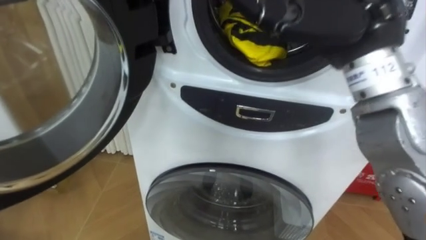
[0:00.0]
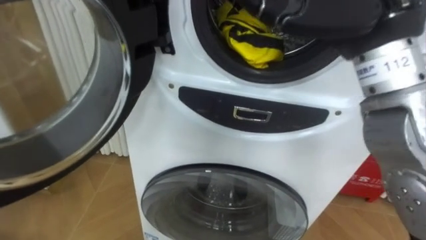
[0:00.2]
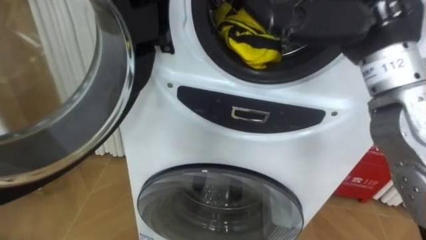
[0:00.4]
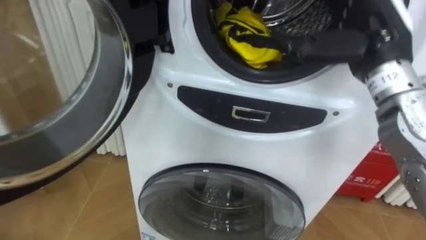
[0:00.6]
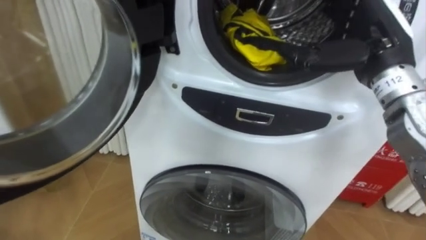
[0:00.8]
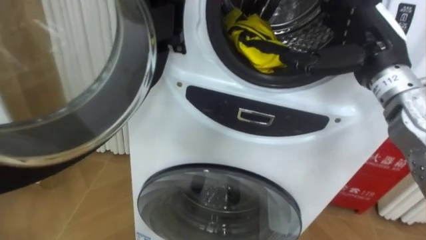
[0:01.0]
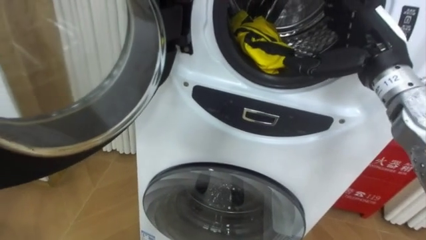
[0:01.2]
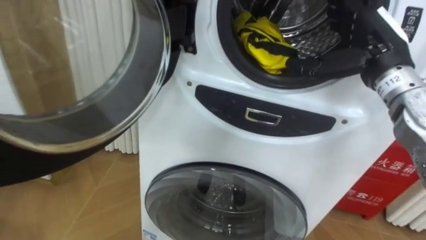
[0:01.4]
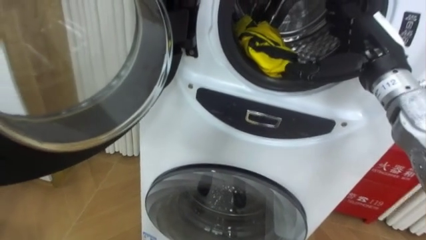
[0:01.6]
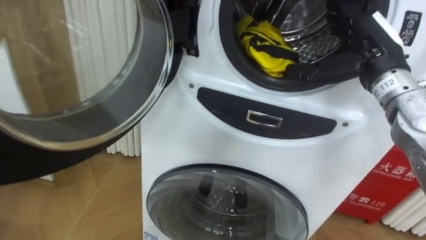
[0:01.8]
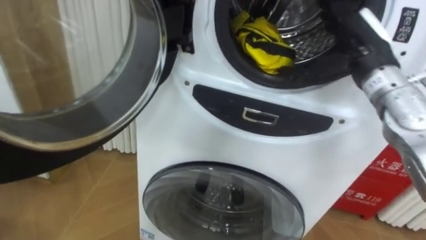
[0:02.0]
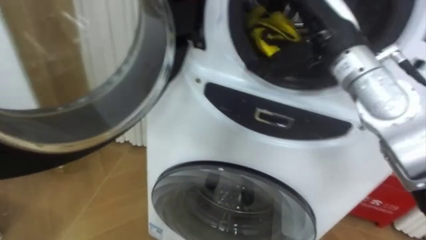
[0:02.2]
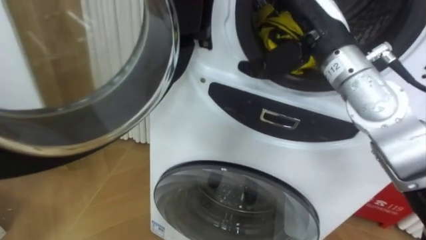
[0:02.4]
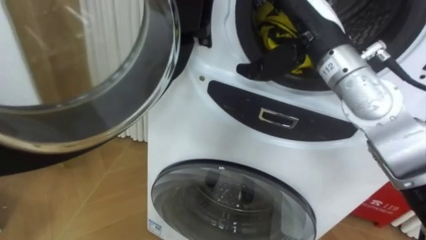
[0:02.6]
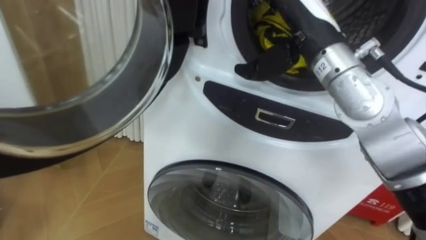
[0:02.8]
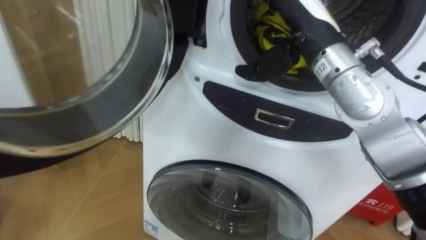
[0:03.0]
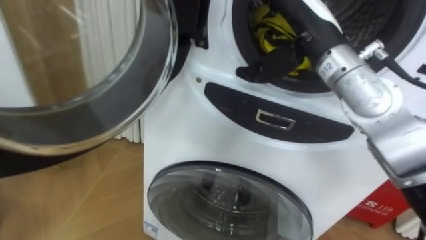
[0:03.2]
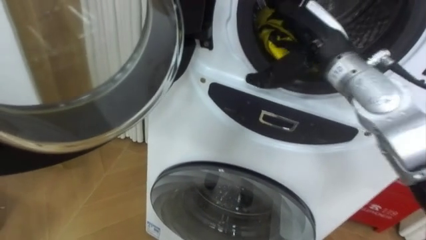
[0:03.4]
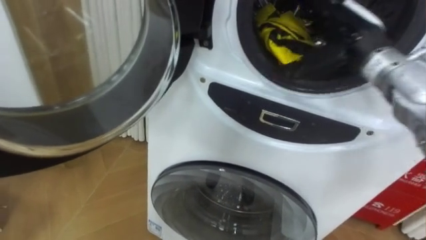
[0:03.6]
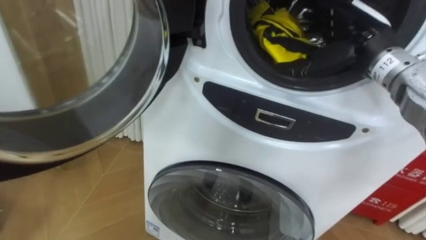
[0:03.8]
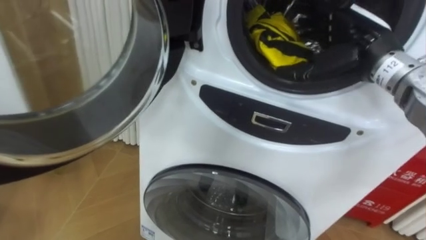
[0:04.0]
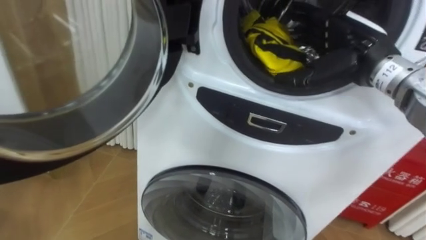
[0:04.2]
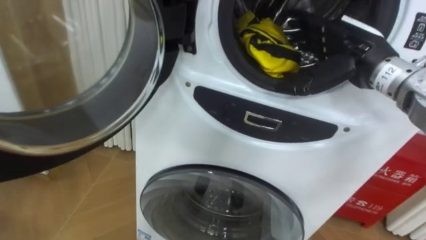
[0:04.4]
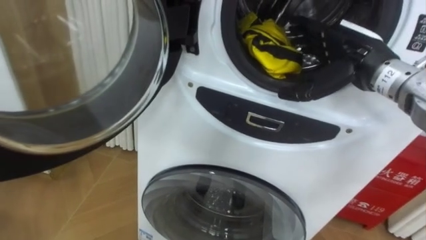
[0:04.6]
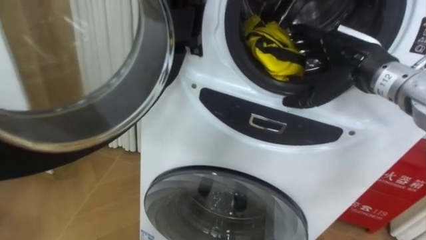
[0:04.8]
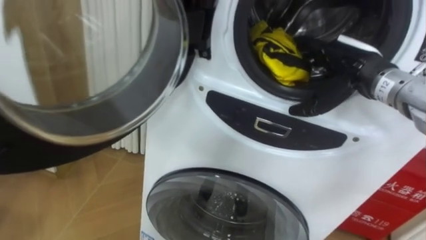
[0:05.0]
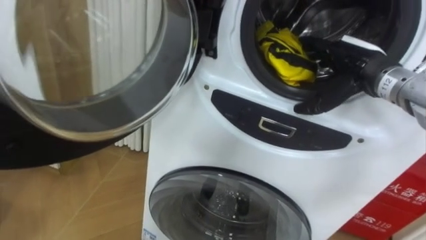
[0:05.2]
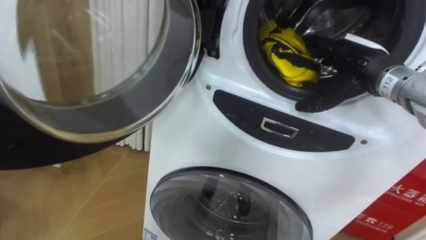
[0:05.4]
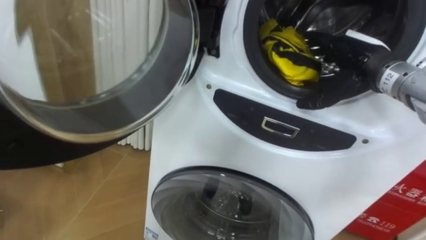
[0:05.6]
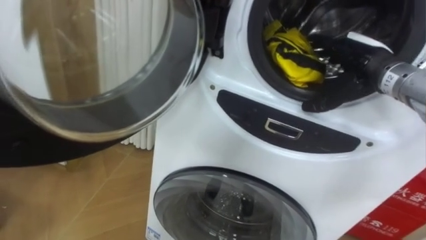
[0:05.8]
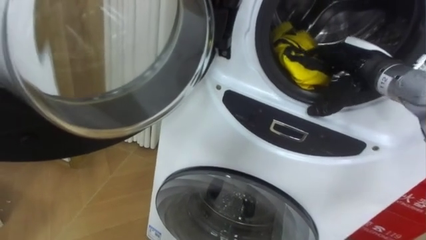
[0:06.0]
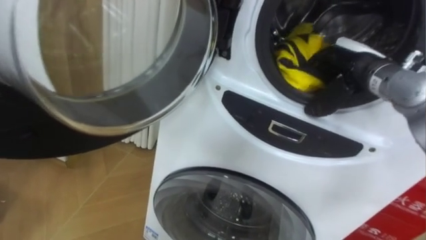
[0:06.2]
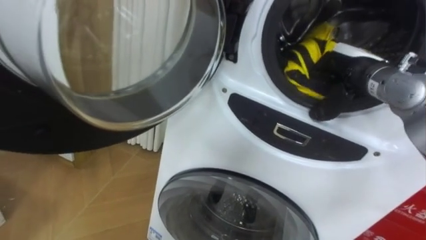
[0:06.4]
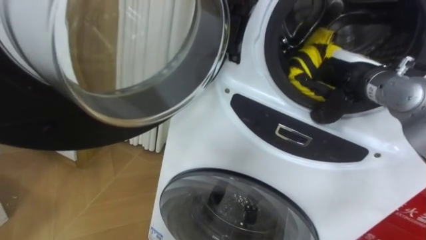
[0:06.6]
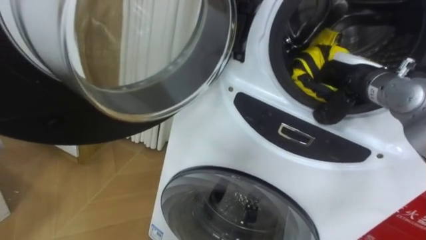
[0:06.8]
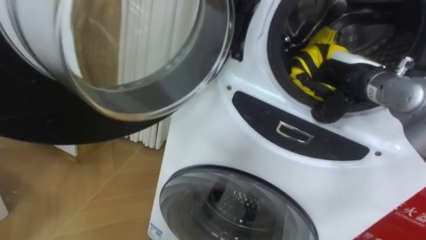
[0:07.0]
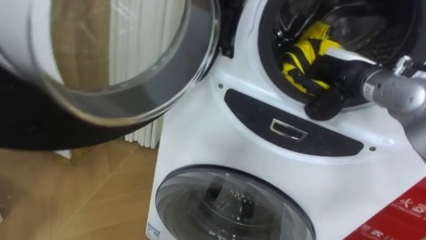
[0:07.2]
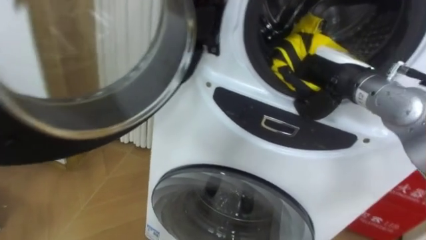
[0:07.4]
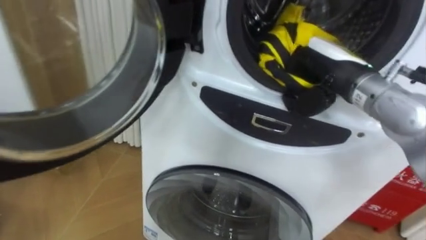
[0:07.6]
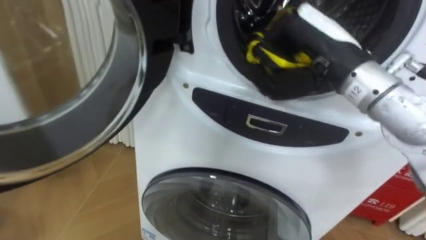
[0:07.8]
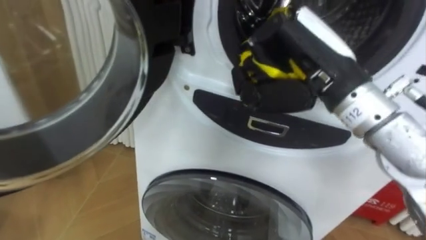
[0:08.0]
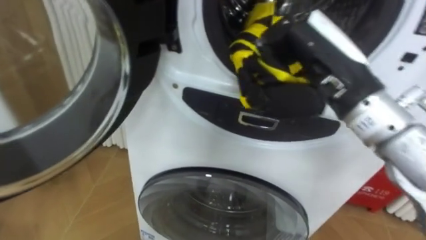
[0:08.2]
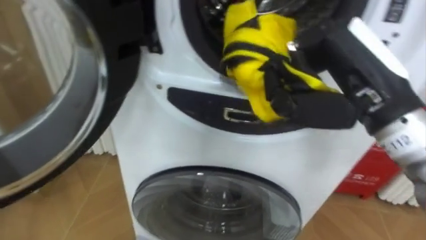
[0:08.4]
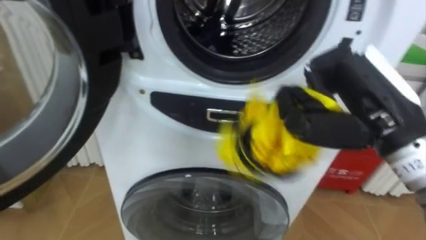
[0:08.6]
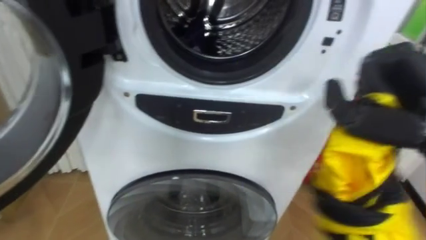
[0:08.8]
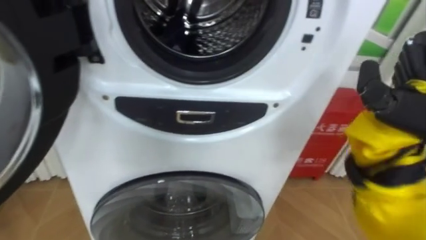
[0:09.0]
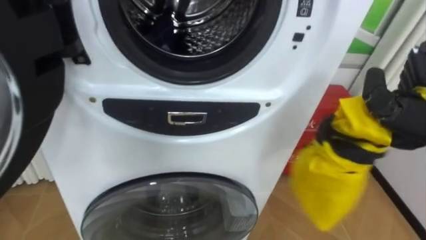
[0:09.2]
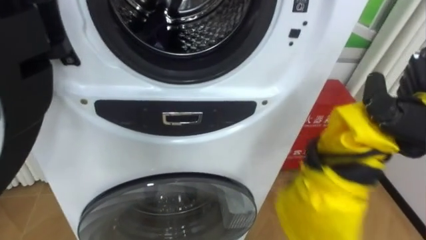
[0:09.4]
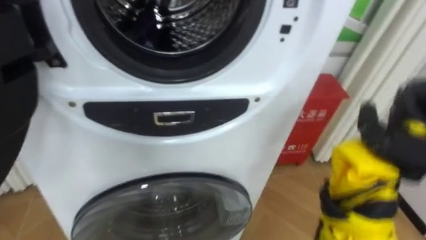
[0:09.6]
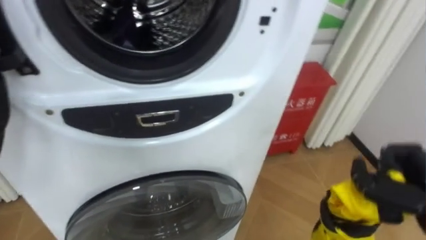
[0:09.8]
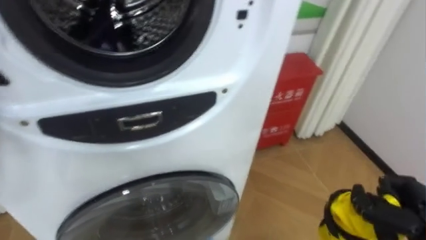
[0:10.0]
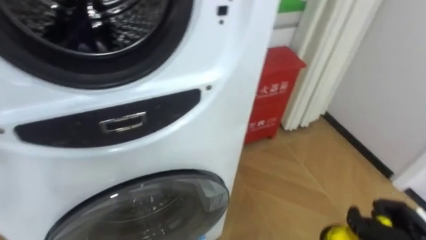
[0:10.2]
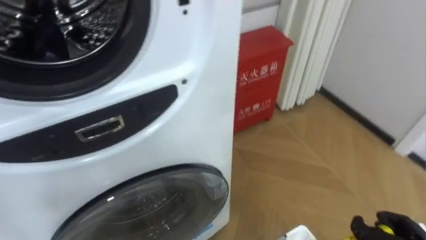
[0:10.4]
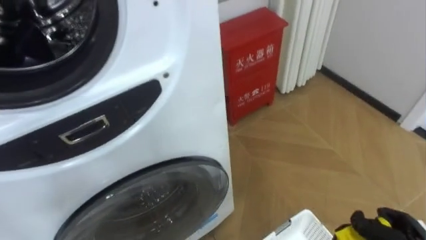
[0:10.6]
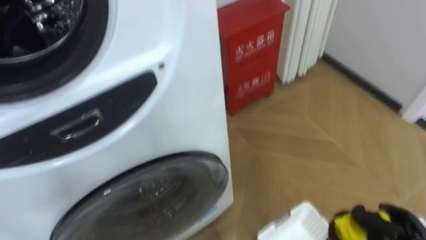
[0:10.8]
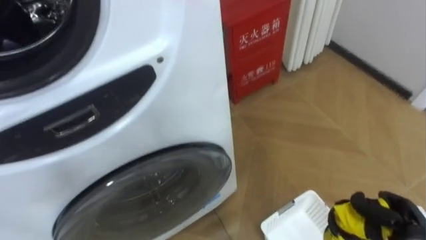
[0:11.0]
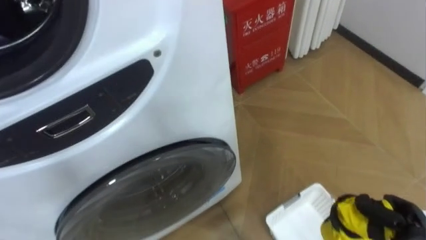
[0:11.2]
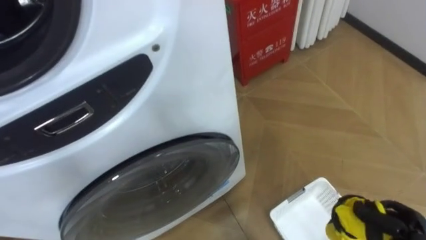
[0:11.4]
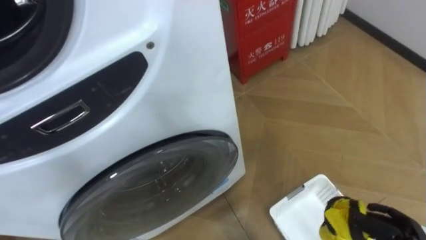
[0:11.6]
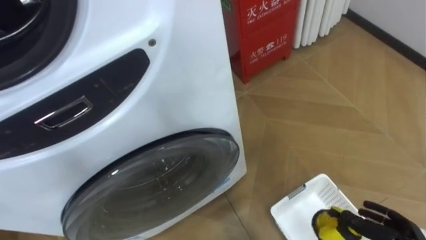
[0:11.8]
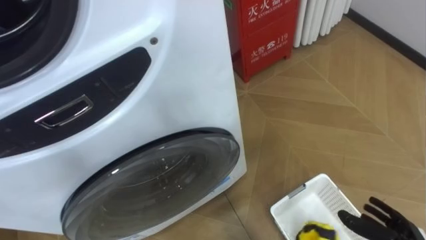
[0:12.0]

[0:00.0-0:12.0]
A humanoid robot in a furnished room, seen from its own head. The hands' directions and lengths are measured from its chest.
Task of the whole recording: Open the washing machine door, take out the yellow clothes, place them in the box on the right, and close the washing machine door.
0:00.0 to 0:01.6: The right hand shifts about 15 cm downward, to the right and forward.
0:01.6 to 0:03.0: The right hand heads to the left, covering roughly 10 cm.
0:03.0 to 0:04.4: The right hand goes approximately 10 cm to the right.
0:04.4 to 0:06.0: The right hand moves about 5 cm.
0:06.0 to 0:07.6: The right hand moves to the left, roughly 5 cm, and closes its fingers.
0:09.0 to 0:10.4: The robot faces approximately 15 degrees further to its right.

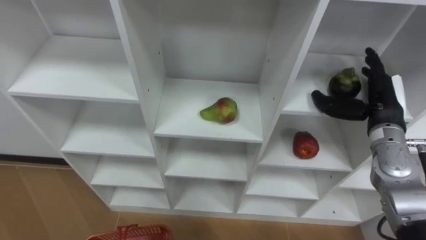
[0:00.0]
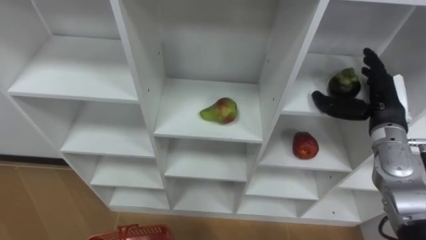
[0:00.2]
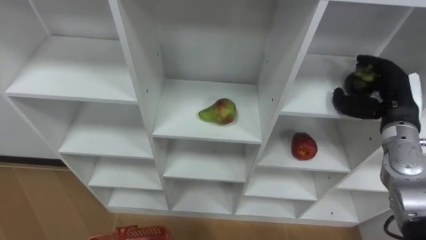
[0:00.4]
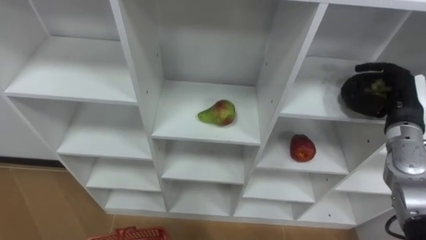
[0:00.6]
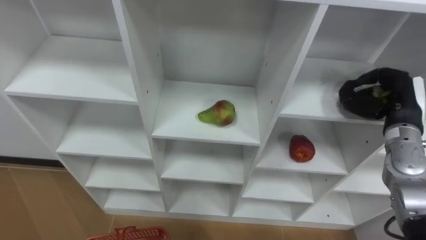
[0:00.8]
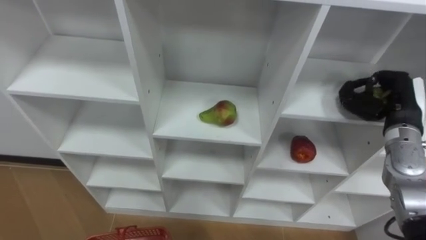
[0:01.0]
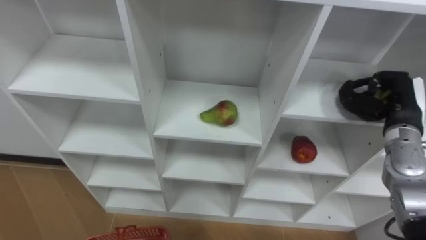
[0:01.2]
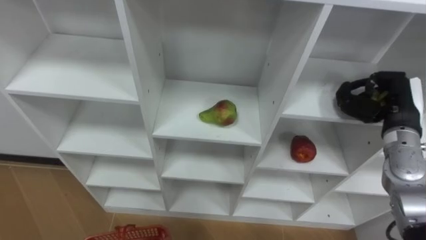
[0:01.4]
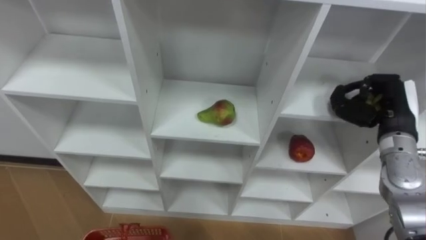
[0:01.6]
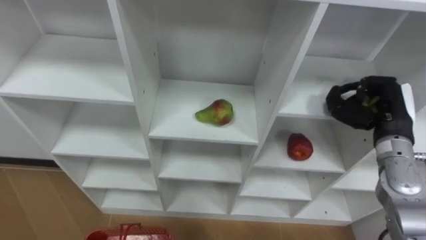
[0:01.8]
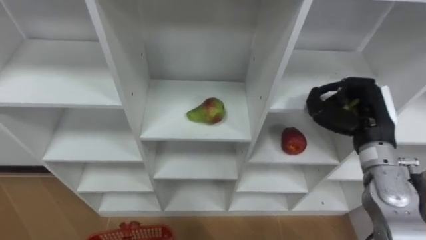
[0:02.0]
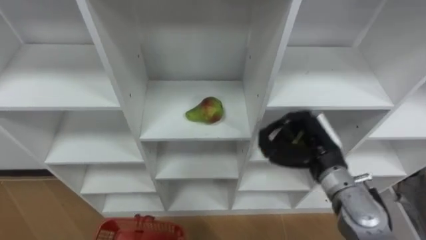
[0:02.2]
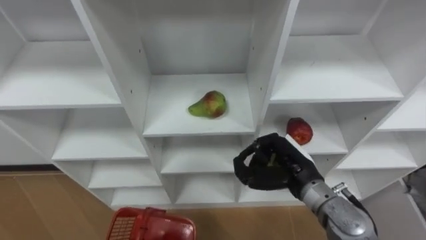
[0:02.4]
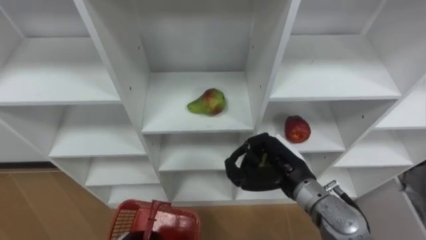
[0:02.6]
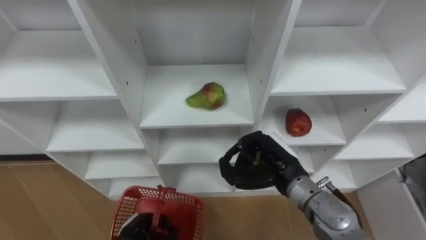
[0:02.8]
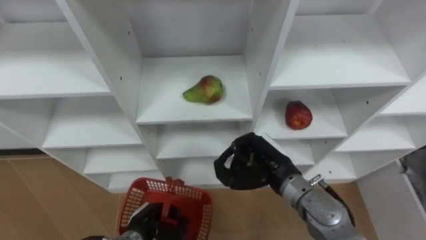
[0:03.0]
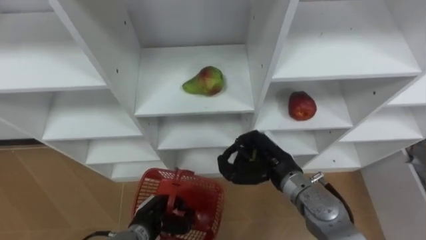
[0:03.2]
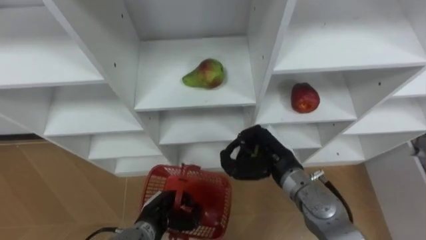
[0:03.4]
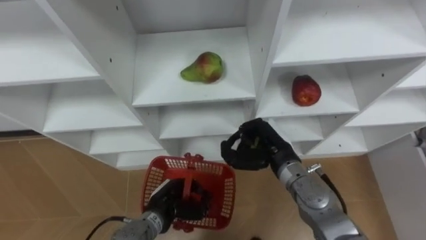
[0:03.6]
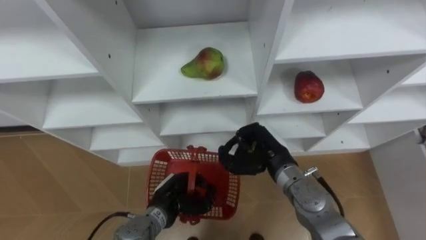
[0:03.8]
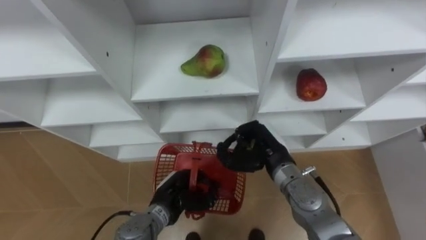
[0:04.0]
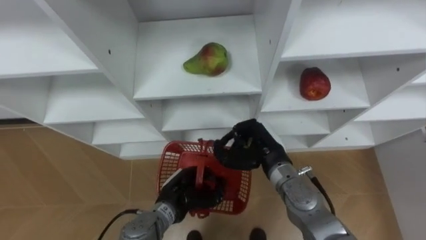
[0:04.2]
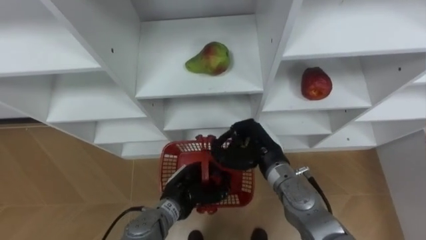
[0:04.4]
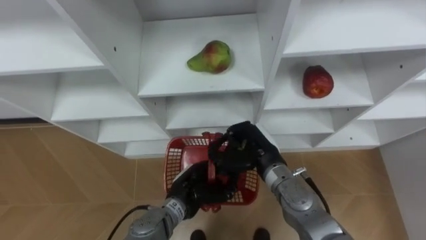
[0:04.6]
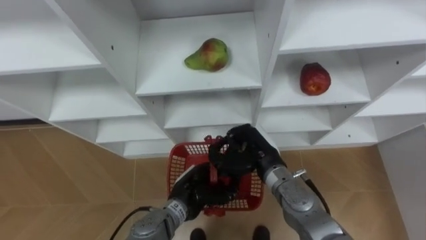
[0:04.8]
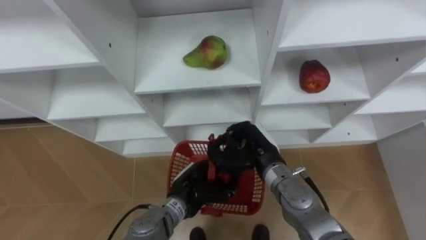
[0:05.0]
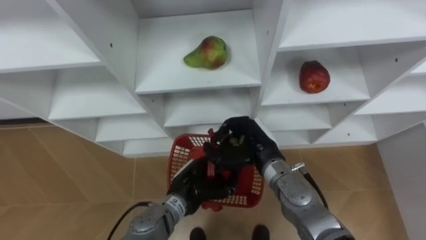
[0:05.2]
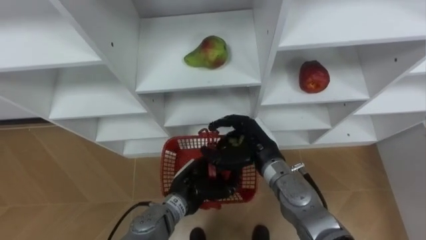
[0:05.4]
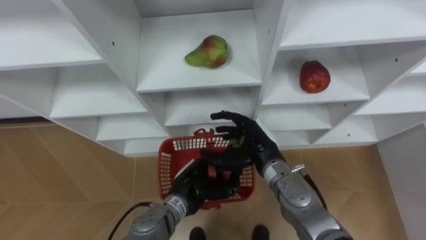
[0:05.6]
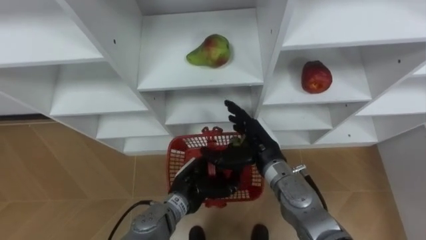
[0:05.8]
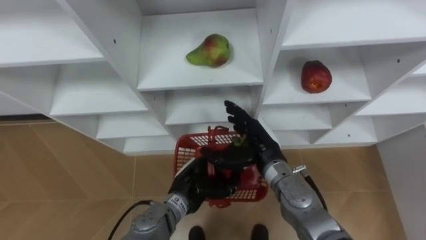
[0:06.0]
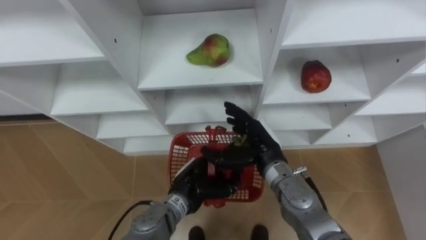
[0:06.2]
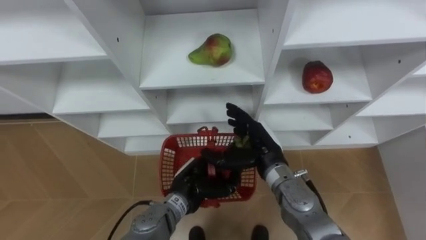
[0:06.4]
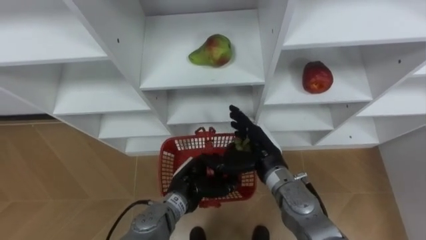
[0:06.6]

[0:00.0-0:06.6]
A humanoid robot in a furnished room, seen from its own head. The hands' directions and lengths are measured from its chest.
Task of the whole recording: Hold the basket and collect the fruits from 3 different cells of the closet into it.
0:00.0 to 0:01.6: The right hand closes.
0:01.6 to 0:03.2: The right hand shifts about 20 cm to the left.
0:03.2 to 0:05.0: The left hand shifts approximately 10 cm to the right and upward.
0:05.0 to 0:06.6: The right hand opens its fingers.
